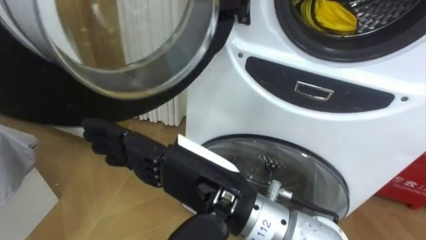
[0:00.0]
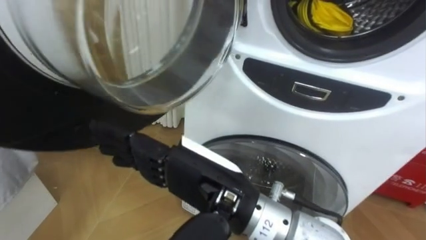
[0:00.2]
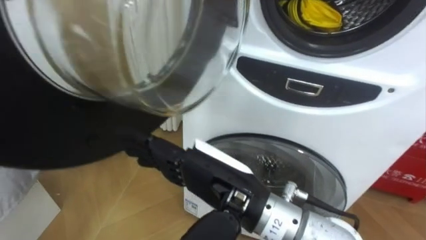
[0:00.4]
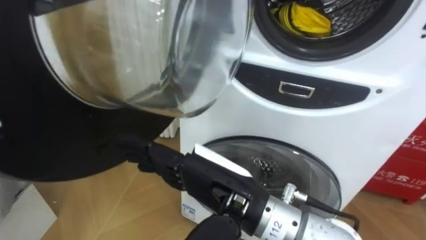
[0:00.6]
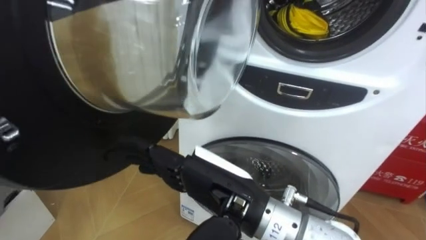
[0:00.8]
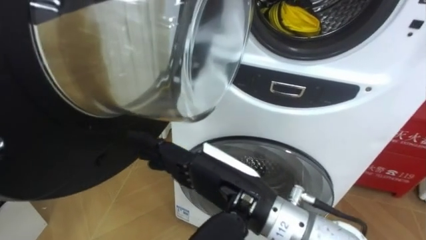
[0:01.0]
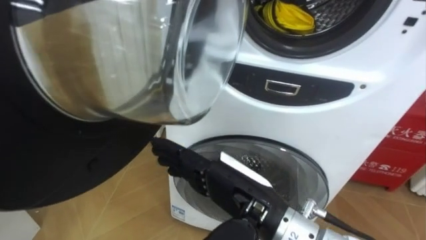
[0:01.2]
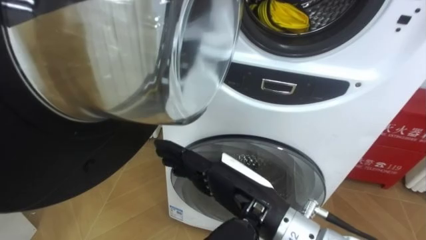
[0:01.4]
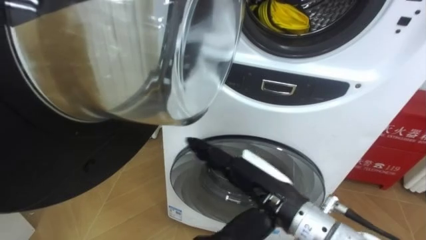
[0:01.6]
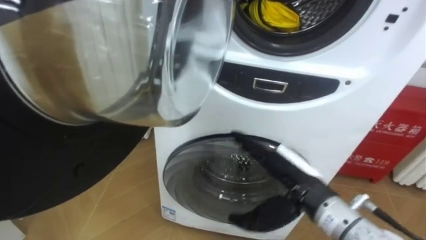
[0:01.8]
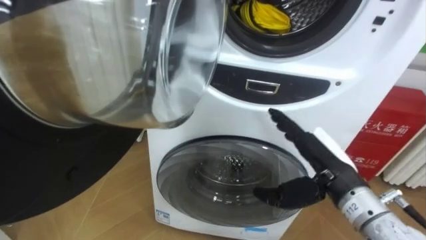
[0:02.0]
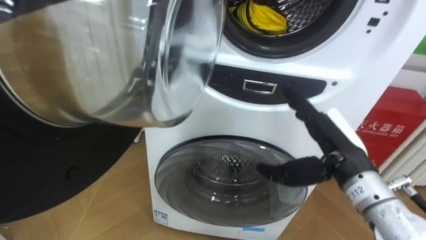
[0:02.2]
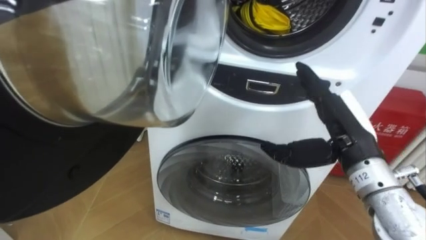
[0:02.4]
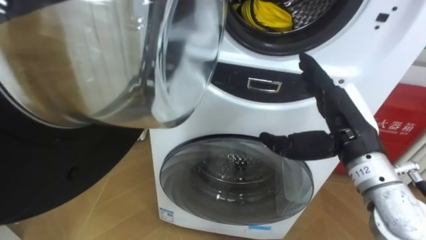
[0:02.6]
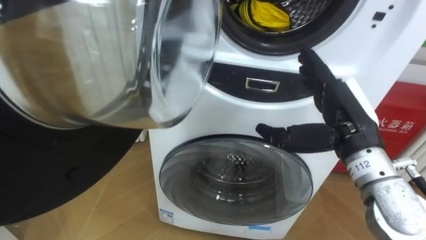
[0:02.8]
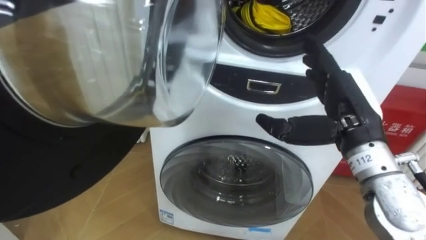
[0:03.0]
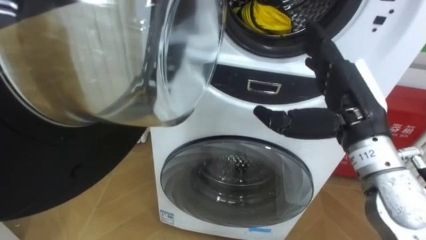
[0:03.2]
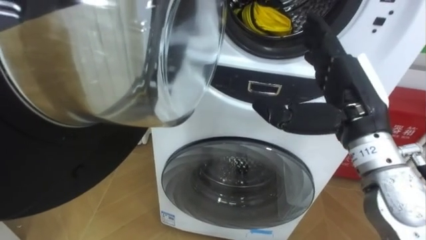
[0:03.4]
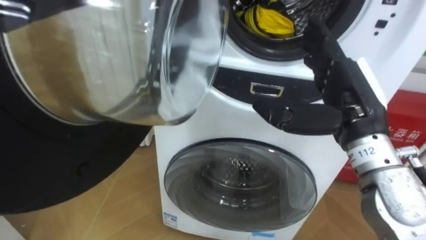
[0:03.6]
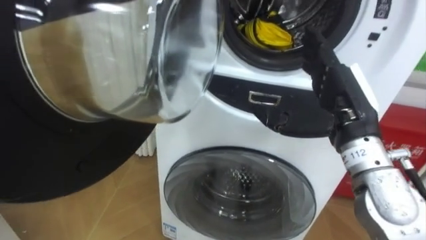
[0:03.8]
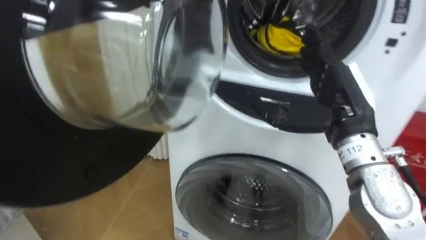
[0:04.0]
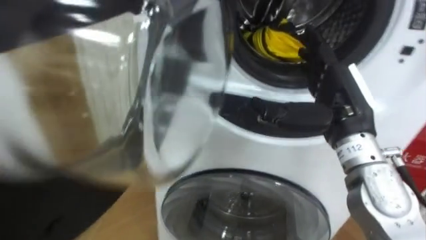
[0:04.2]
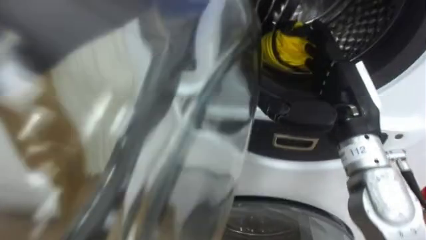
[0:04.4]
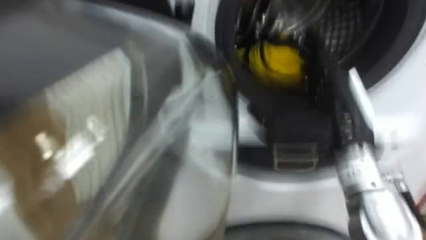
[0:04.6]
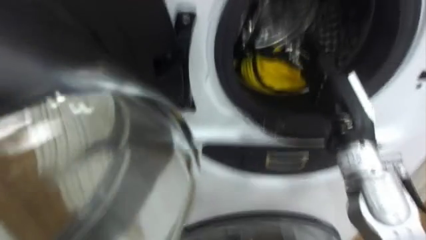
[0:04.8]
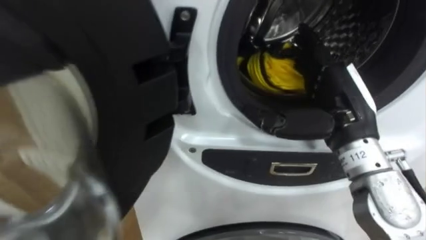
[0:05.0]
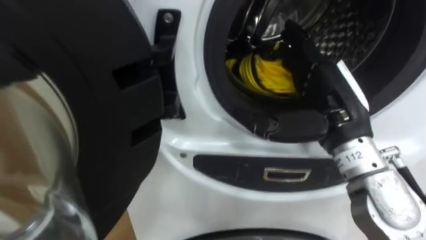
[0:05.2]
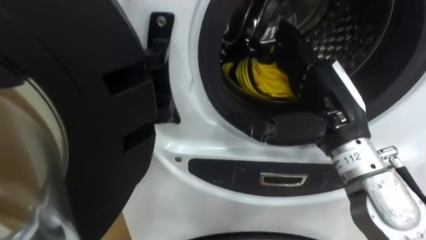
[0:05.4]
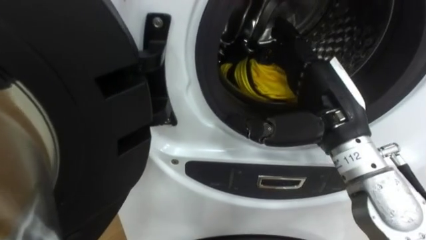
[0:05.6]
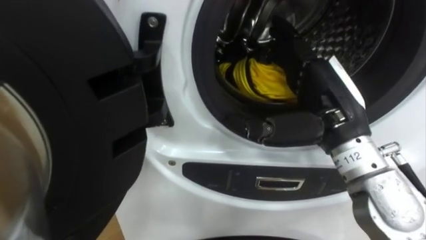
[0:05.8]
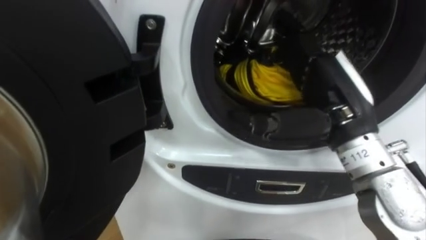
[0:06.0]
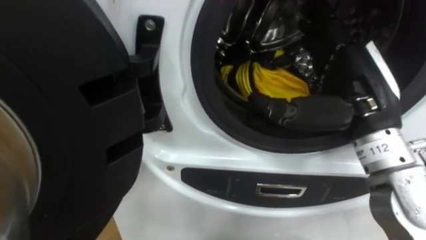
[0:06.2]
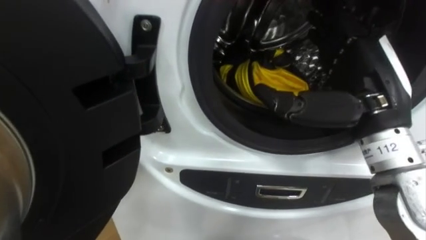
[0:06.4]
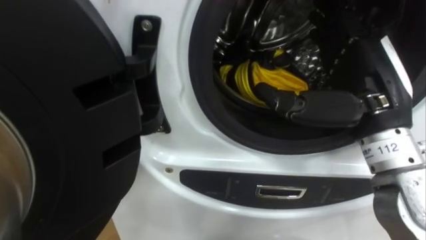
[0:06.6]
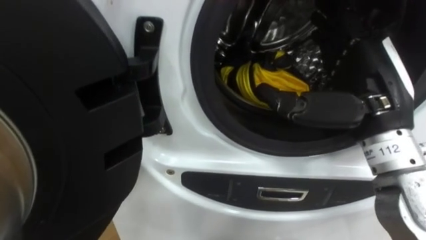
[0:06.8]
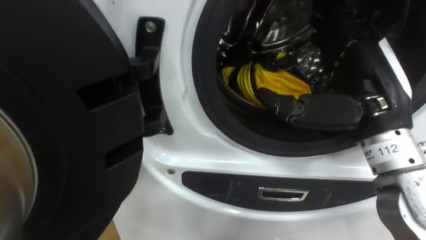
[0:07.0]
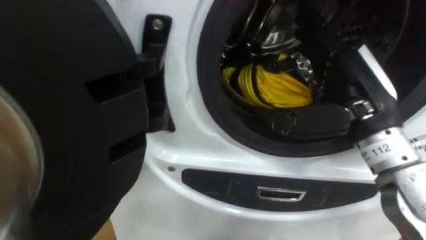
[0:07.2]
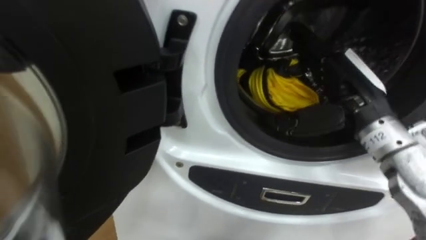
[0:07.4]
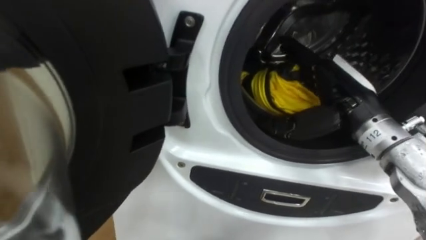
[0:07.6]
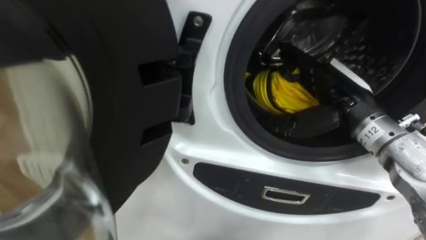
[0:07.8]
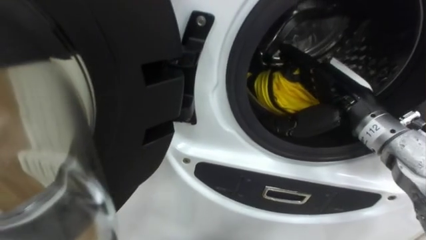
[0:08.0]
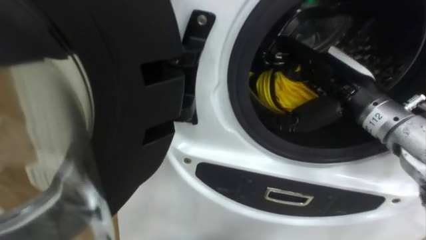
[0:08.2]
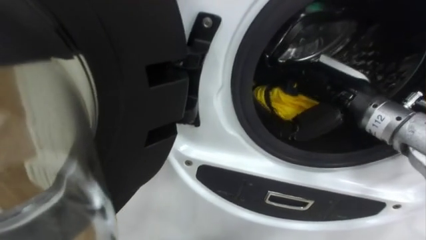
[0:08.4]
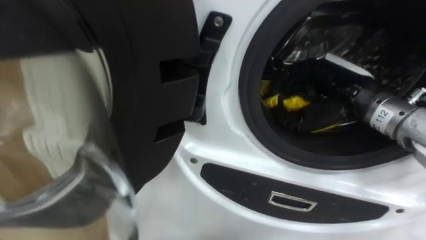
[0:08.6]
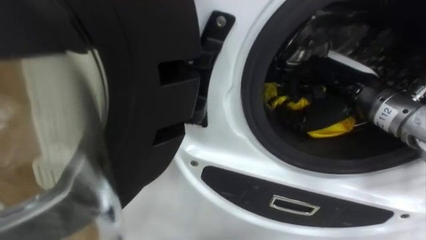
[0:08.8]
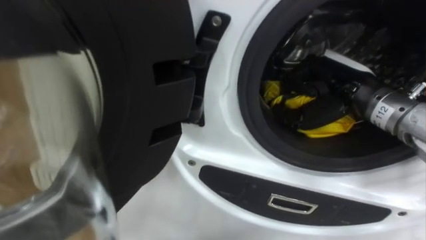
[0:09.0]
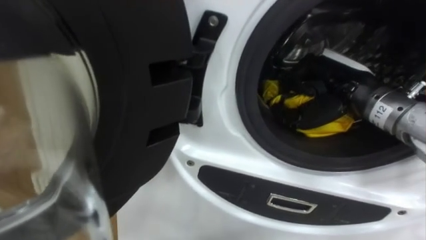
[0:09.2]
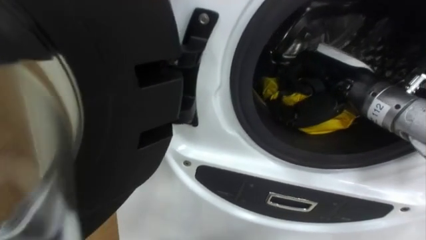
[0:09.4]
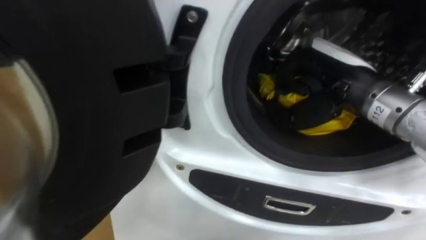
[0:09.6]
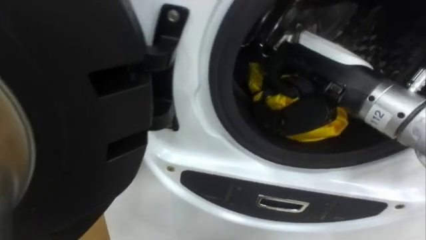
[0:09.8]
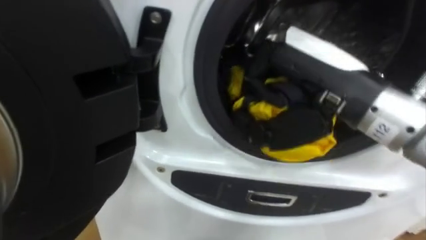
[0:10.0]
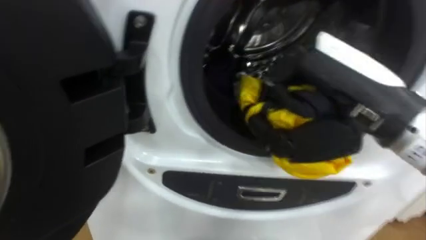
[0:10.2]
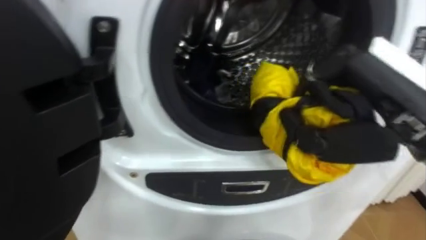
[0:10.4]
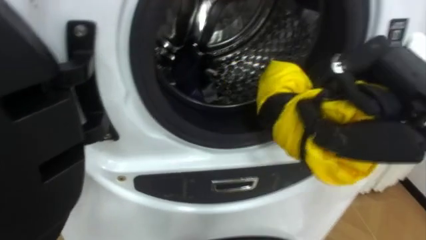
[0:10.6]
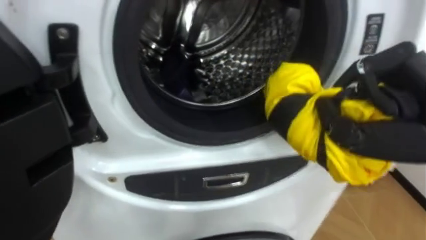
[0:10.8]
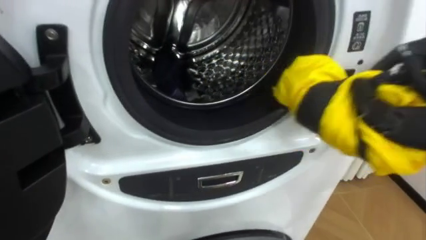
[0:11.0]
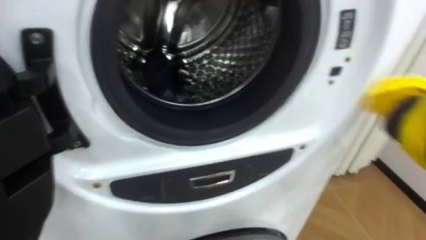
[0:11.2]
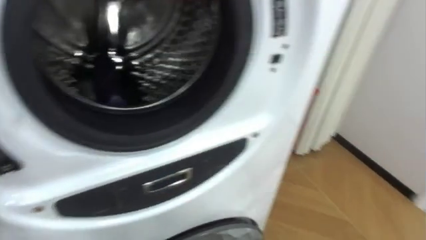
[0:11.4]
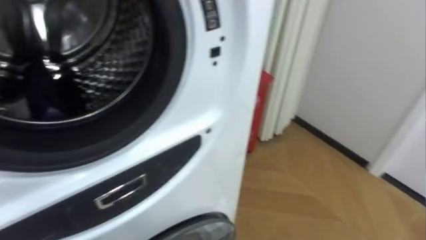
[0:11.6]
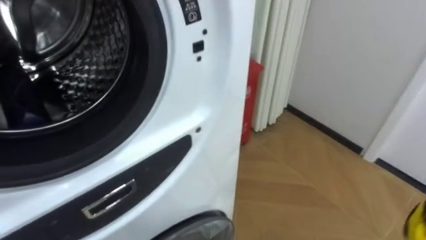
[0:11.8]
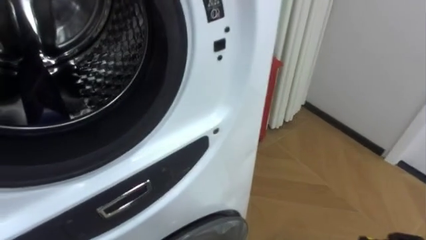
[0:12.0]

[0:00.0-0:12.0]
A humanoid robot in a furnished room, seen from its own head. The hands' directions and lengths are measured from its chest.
Task of the whole recording: Open the washing machine door, take out the yellow clothes, place them in the box on the right, and close the washing machine door.
0:00.0 to 0:01.6: The right hand heads to the right and downward, covering some 10 cm.
0:01.6 to 0:03.0: The right hand heads to the right, upward and forward, covering about 15 cm.
0:06.0 to 0:07.6: The right hand moves some 5 cm.
0:07.6 to 0:09.0: The right hand closes.
0:09.0 to 0:10.4: The right hand heads backward and upward, covering roughly 15 cm.

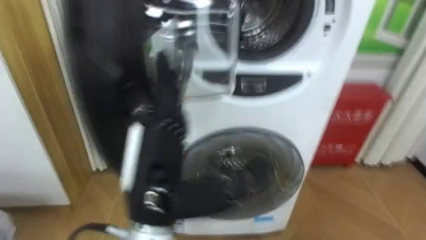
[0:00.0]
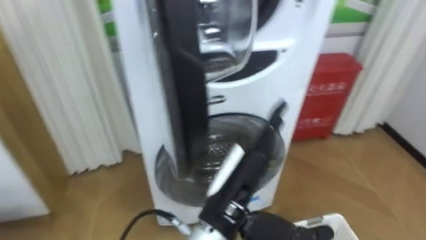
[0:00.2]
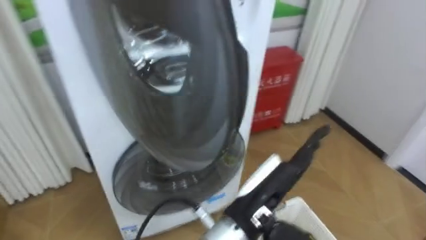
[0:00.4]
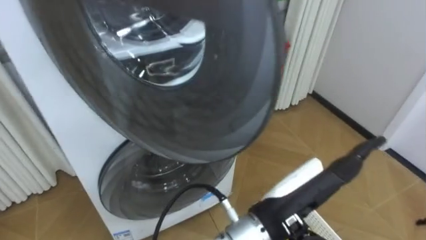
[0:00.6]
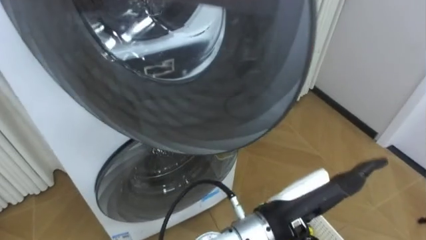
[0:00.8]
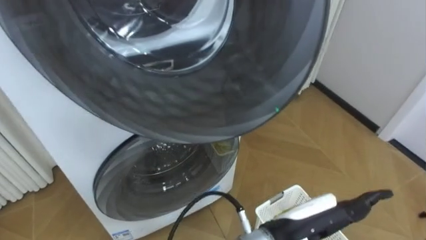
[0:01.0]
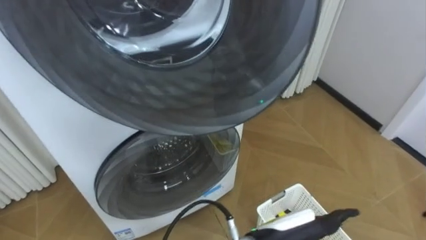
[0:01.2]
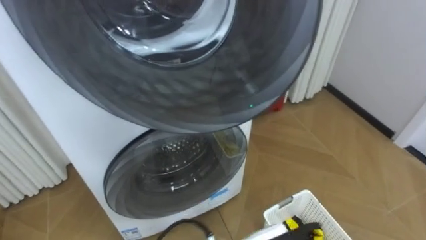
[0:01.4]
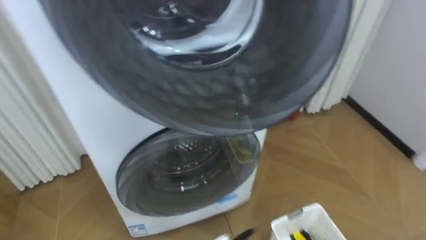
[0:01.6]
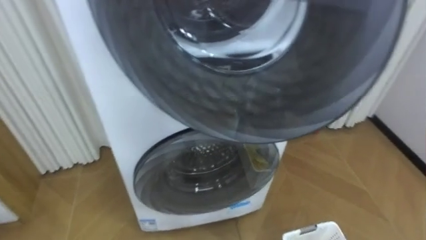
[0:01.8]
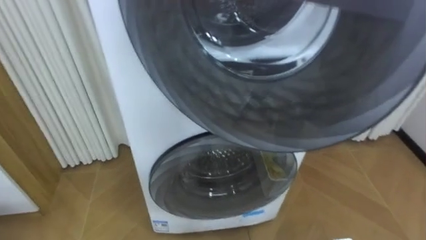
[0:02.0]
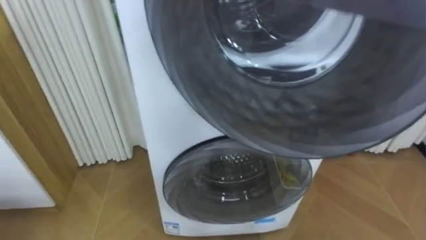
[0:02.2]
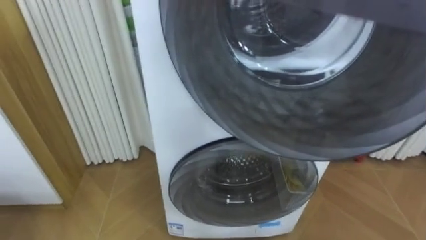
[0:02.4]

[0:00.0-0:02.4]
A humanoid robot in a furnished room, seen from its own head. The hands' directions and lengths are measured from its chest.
Task of the whole recording: Open the washing machine door, take out the yellow clothes, place them in the box on the right, and close the washing machine door.
0:00.0 to 0:01.2: The left hand heads to the right and downward, covering roughly 25 cm.

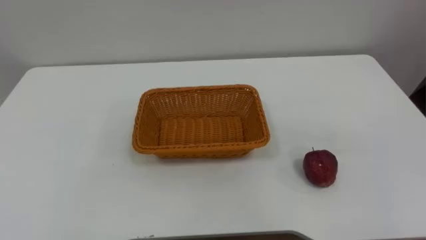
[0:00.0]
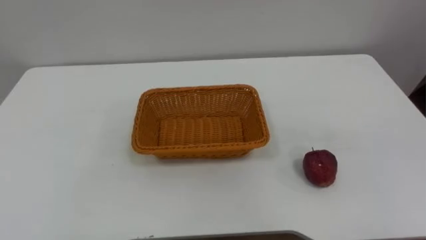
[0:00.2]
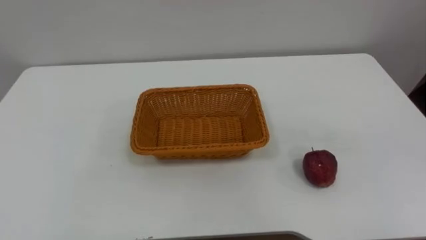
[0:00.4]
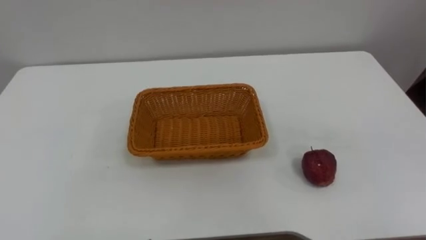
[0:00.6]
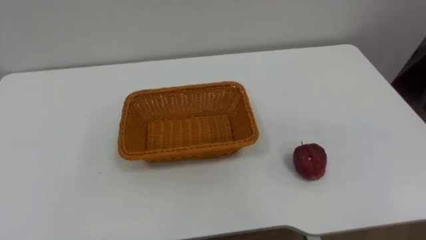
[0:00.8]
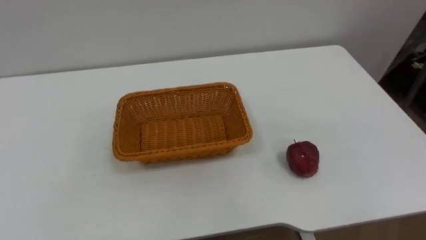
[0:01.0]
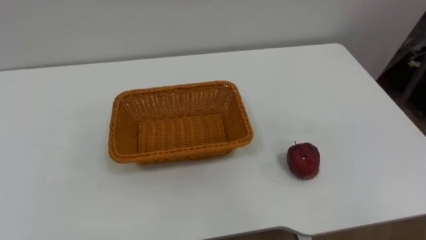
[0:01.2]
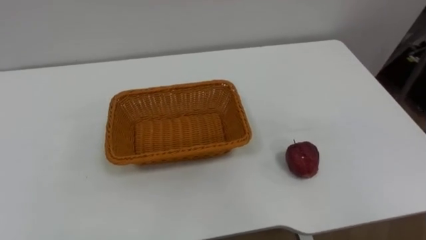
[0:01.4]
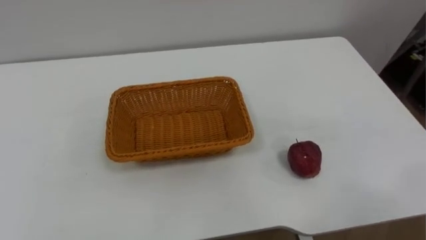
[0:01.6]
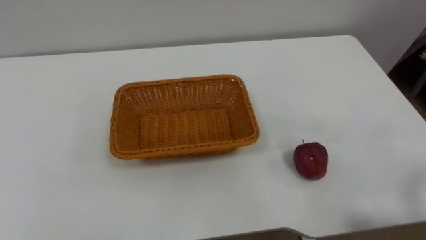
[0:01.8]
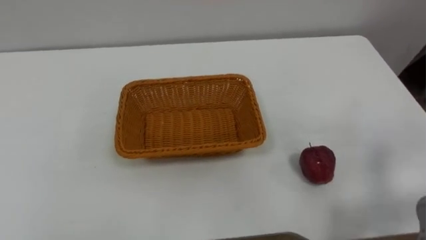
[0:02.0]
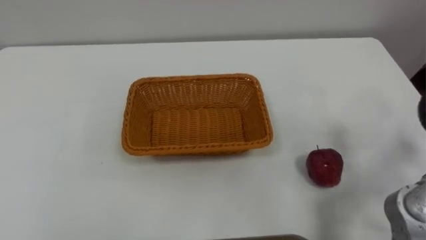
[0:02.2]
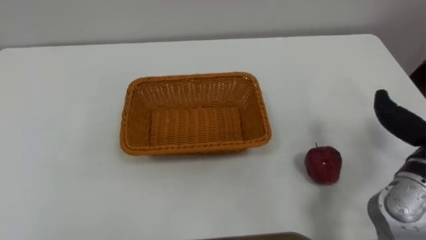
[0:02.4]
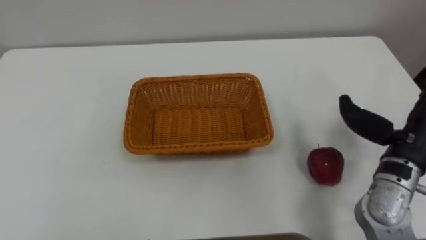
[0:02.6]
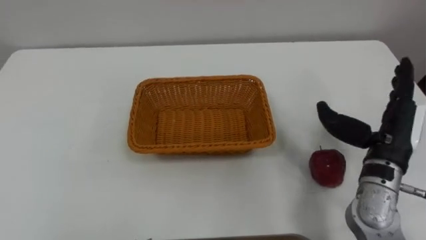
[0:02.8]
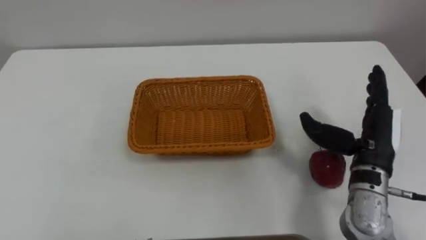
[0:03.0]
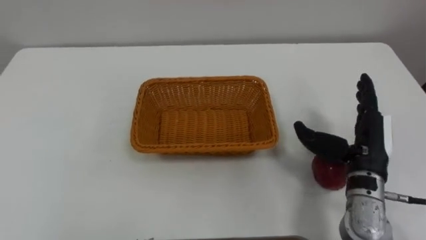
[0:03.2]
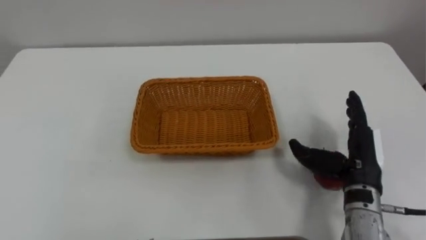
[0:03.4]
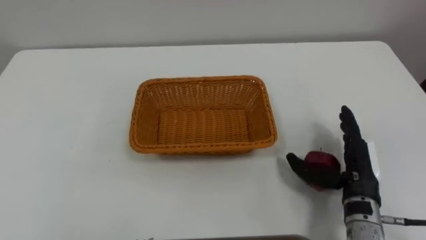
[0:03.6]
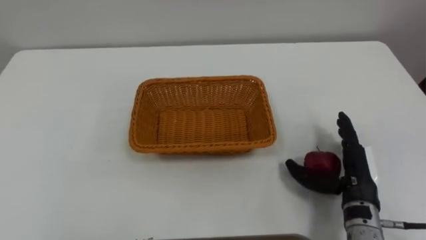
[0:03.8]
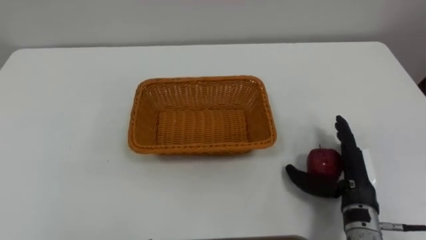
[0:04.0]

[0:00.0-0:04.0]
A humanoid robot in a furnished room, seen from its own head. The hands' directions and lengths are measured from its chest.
Task of the whole recording: Pick the apple and place it in the box.
0:02.6 to 0:04.0: The right hand moves downward and to the left, roughly 10 cm.
